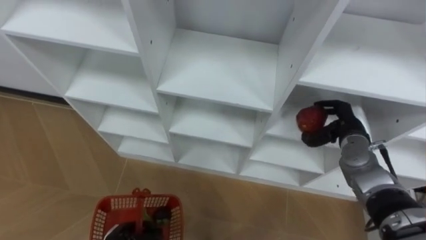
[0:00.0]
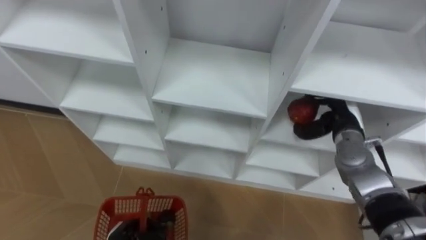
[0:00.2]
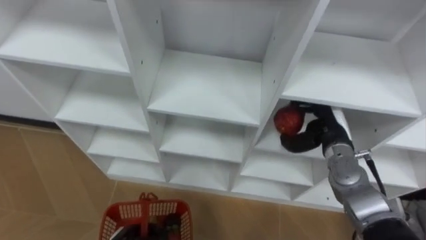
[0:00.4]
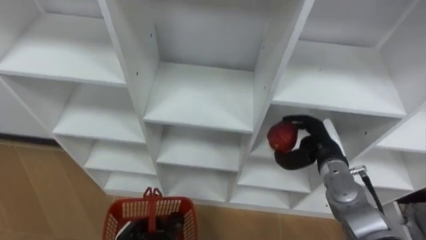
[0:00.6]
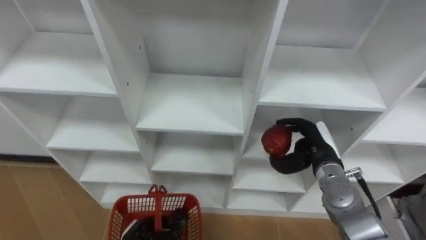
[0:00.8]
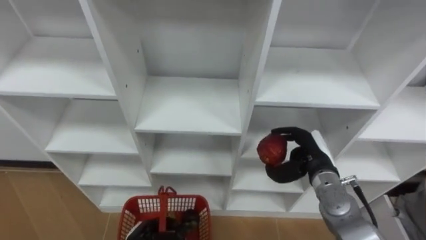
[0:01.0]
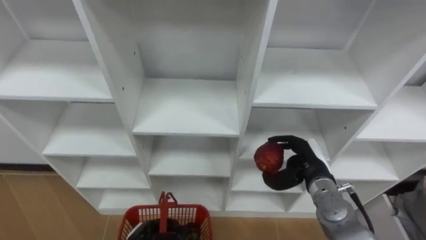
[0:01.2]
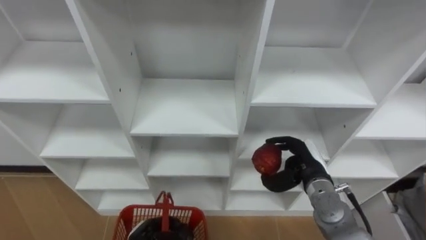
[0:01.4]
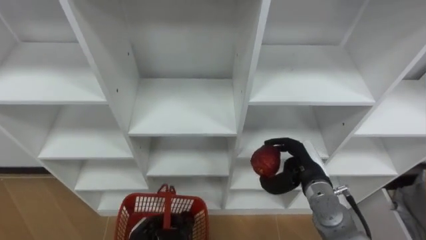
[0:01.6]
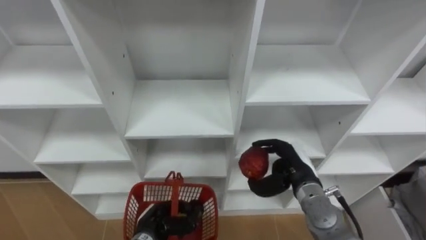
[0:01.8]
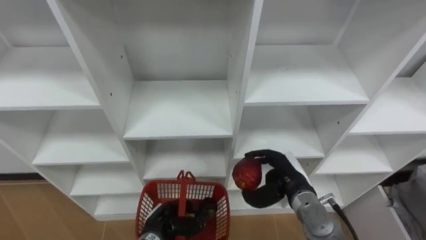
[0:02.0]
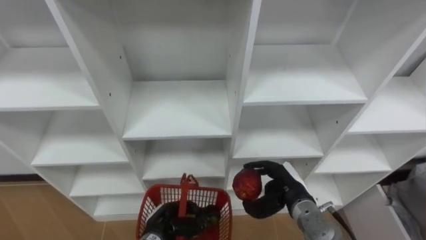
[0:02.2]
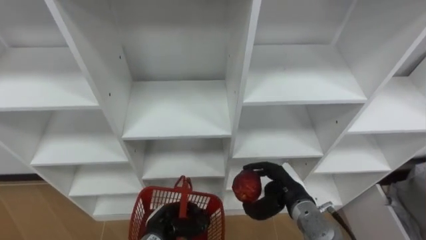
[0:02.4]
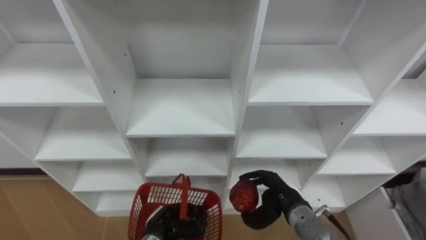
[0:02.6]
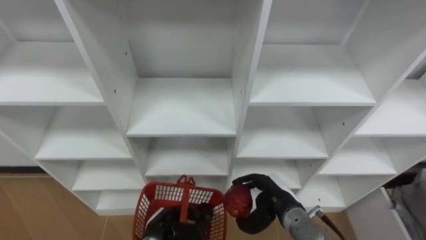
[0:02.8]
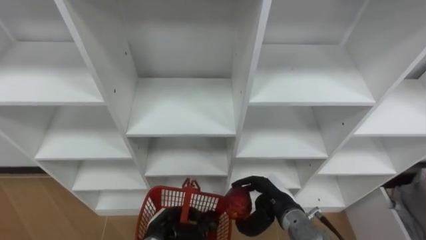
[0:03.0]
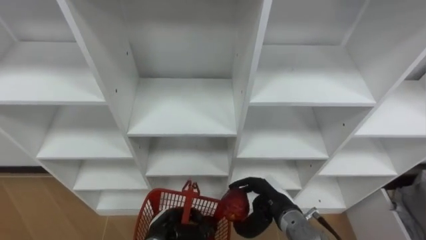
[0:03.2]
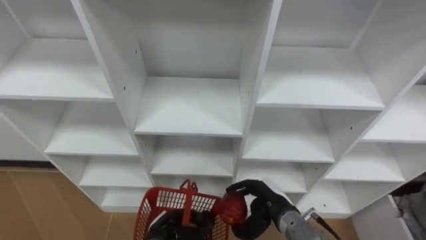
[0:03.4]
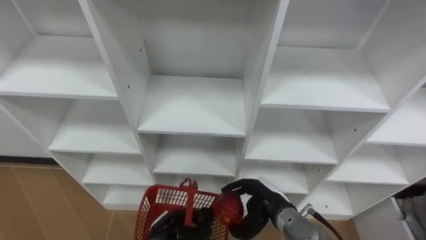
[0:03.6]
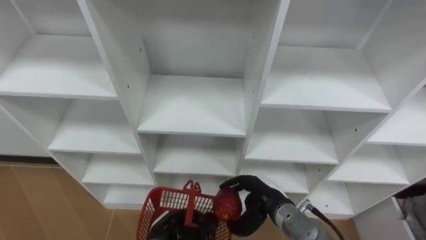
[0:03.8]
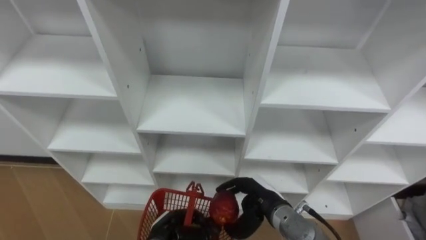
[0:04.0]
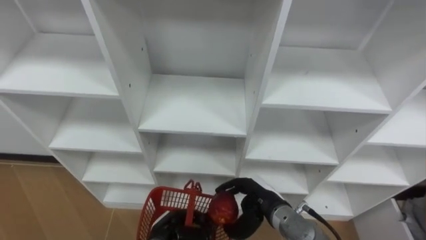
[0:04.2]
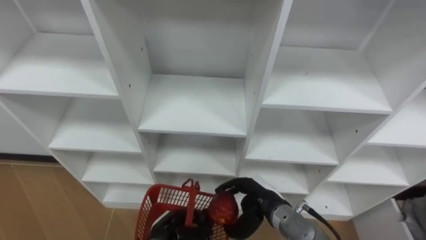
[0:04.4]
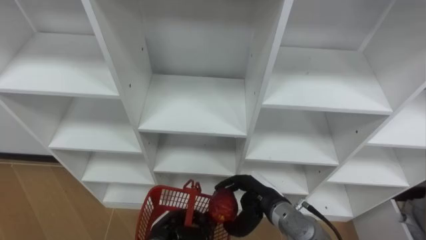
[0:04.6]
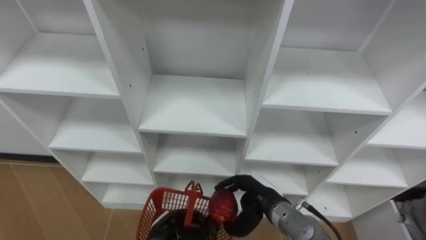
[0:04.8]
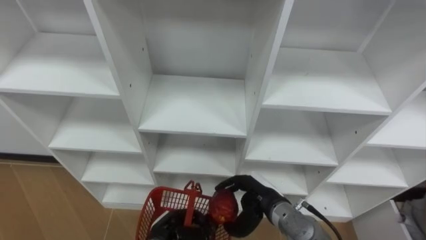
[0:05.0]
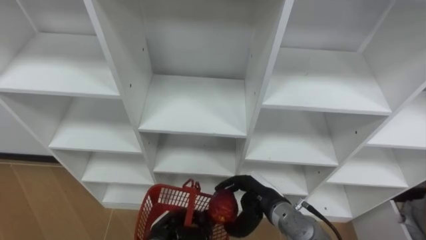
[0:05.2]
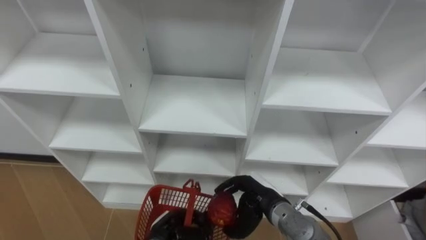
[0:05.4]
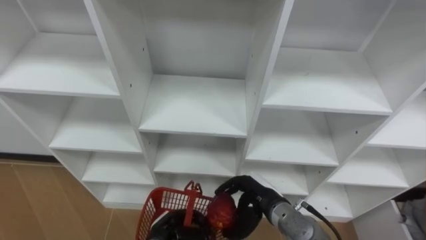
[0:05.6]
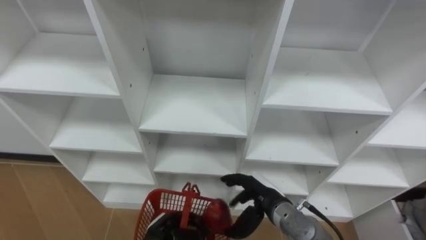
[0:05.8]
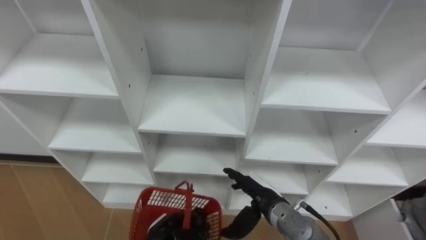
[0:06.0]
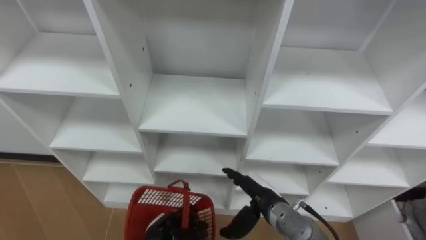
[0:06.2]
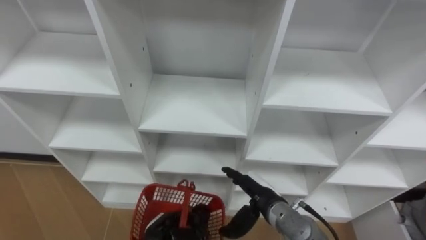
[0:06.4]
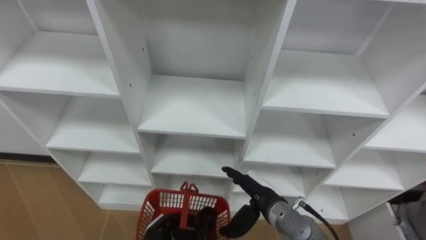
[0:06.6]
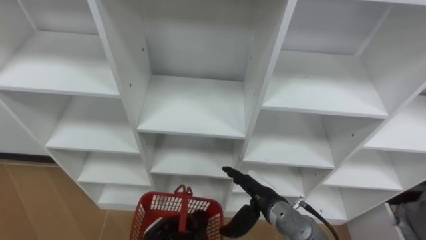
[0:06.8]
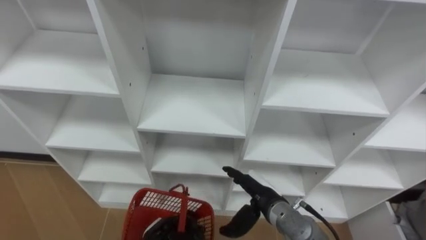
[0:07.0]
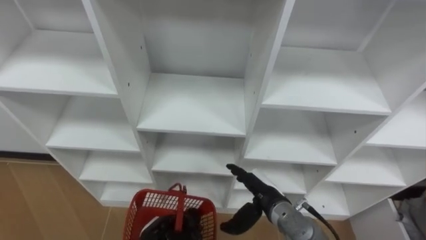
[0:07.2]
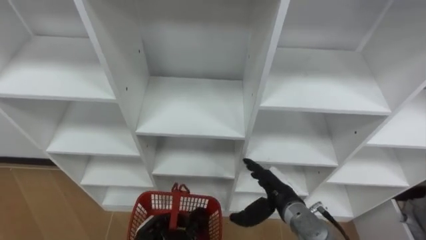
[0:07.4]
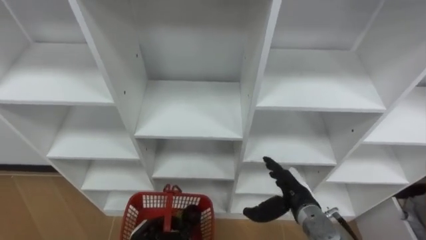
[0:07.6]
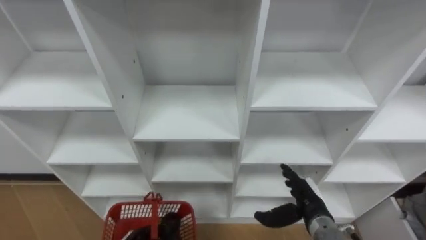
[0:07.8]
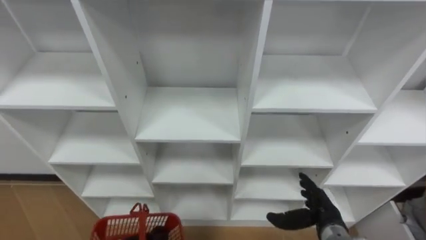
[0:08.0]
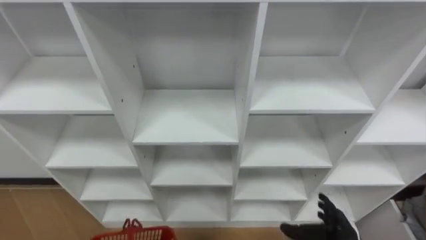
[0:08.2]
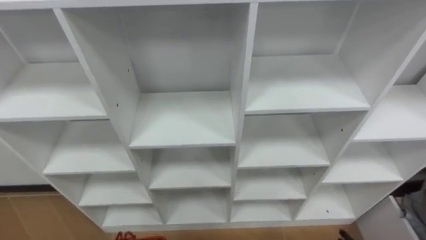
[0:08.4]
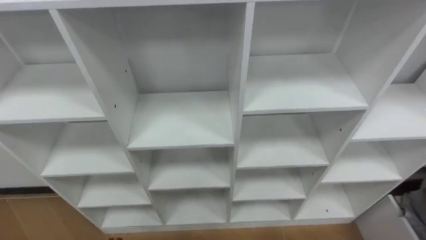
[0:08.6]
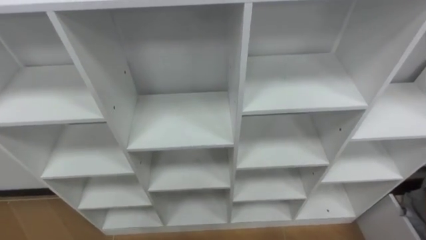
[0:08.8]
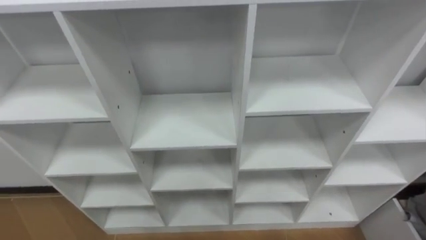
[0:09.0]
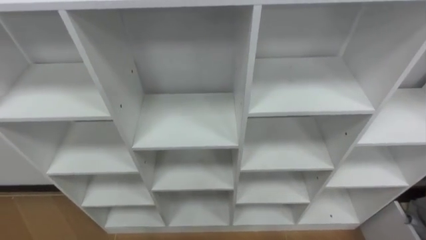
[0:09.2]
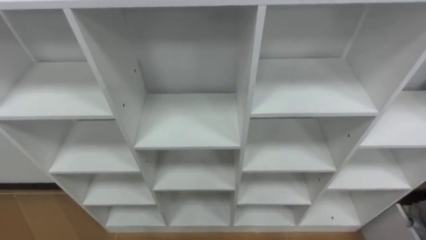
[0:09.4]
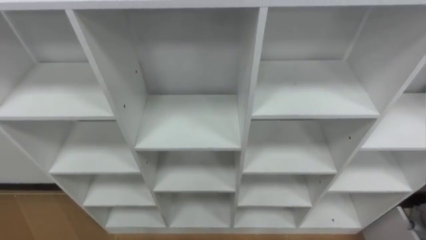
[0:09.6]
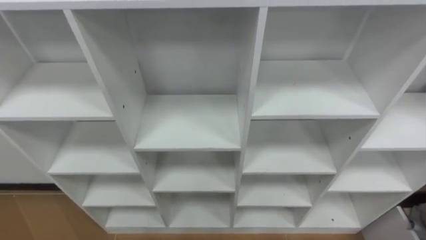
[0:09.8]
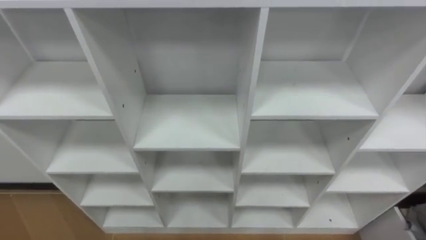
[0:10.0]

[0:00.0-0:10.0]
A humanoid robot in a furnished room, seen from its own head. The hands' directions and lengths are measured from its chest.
Task of the whole recording: Hold the basket and collect the fruits from 3 different cells of the closet into it.
0:00.0 to 0:01.4: The right hand heads to the left and backward, covering some 10 cm.
0:01.4 to 0:02.8: The right hand heads to the left and backward, covering some 10 cm.
0:04.2 to 0:05.8: The right hand opens up.
